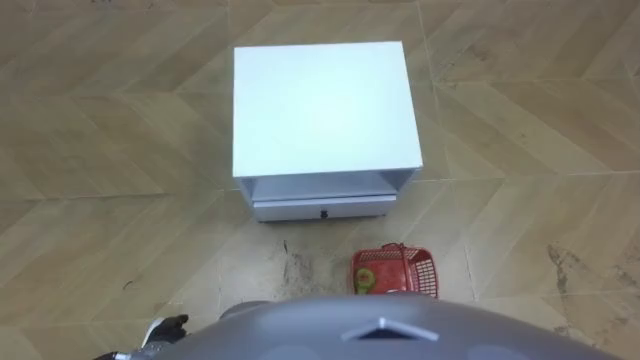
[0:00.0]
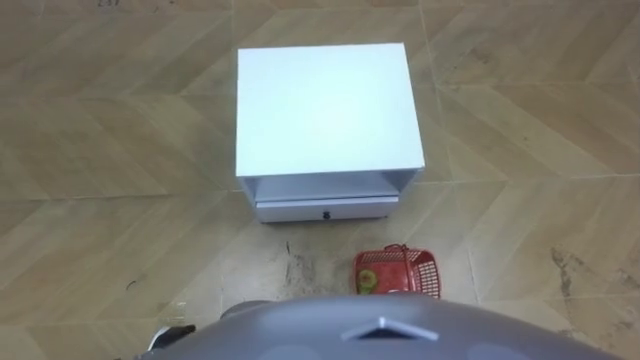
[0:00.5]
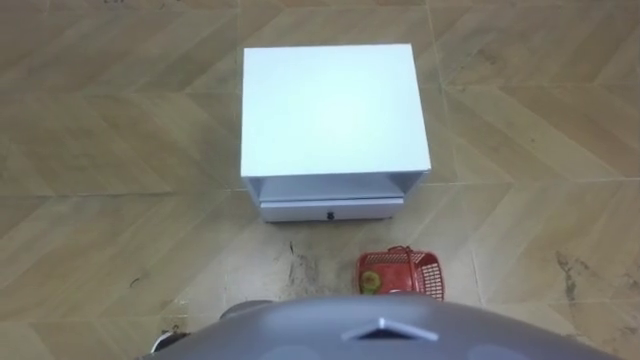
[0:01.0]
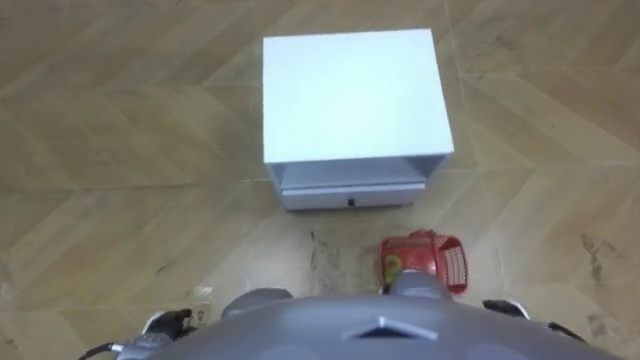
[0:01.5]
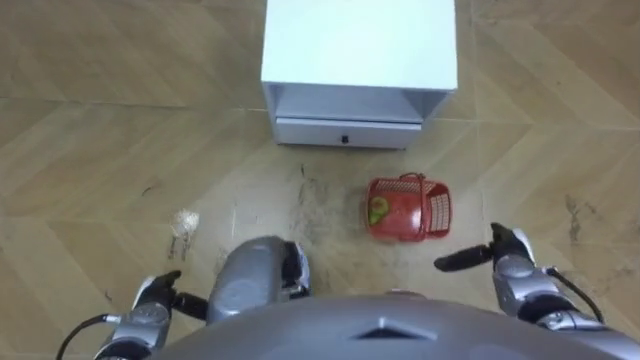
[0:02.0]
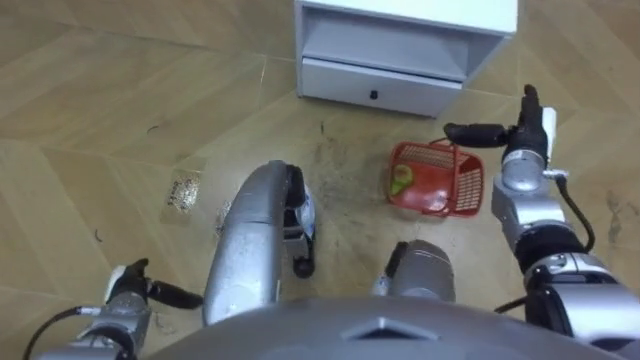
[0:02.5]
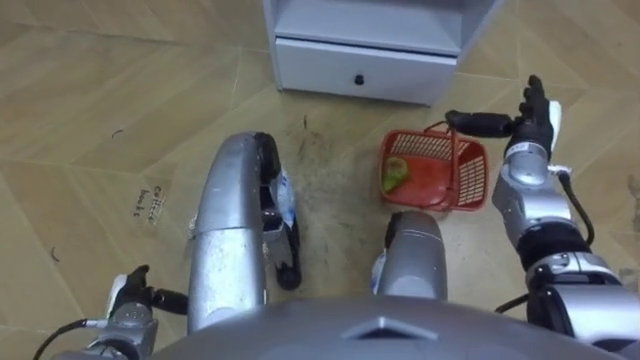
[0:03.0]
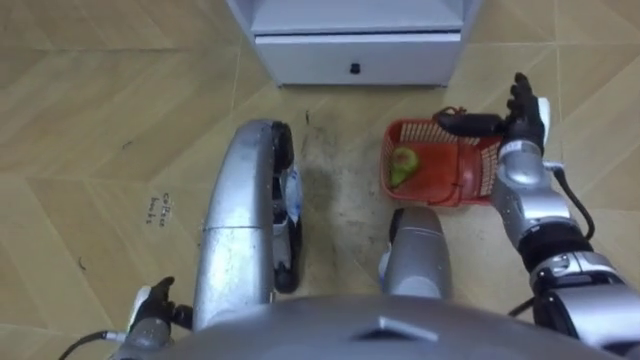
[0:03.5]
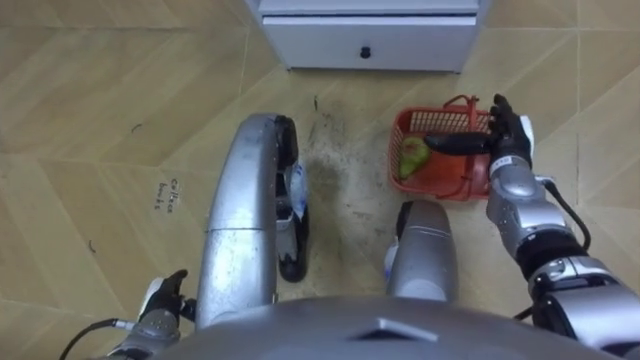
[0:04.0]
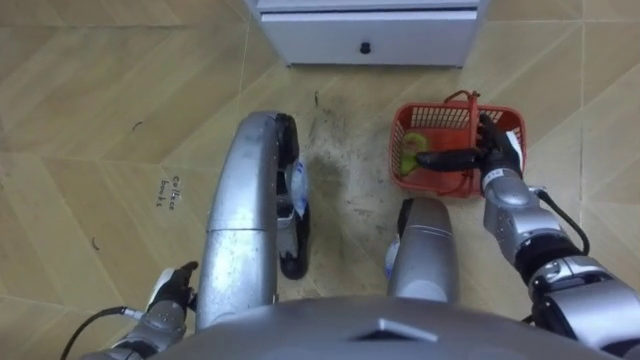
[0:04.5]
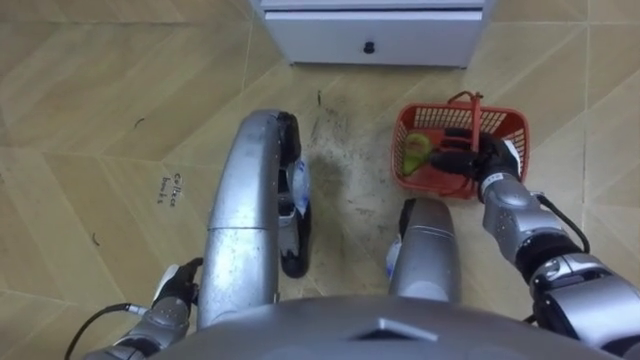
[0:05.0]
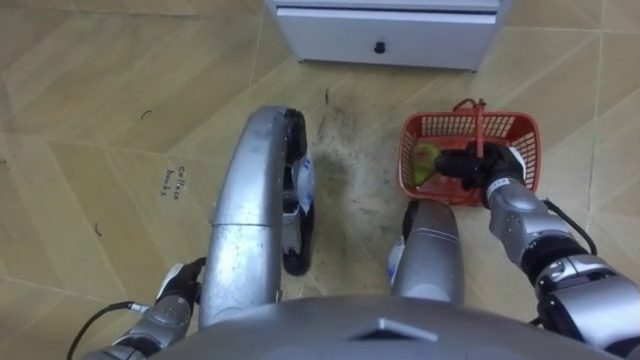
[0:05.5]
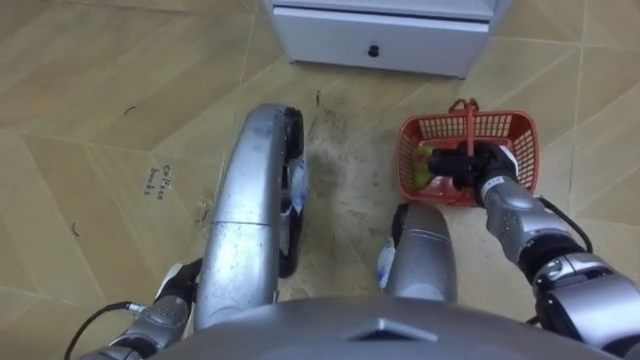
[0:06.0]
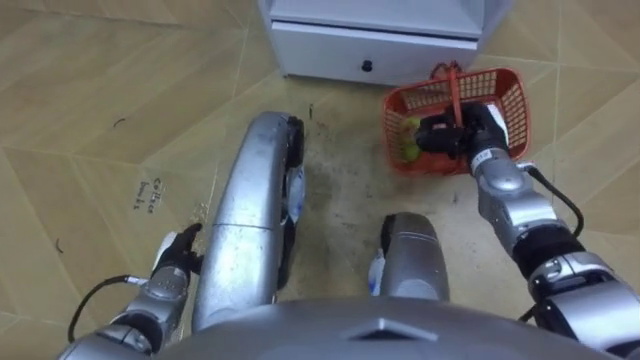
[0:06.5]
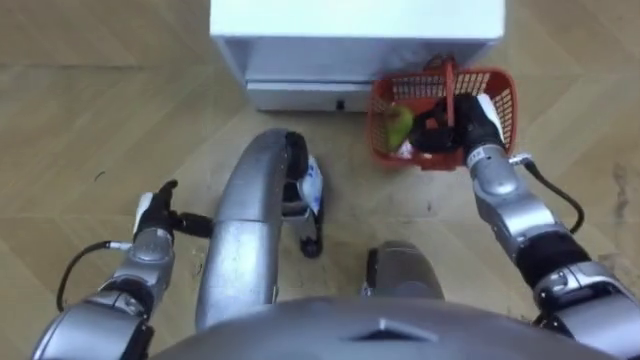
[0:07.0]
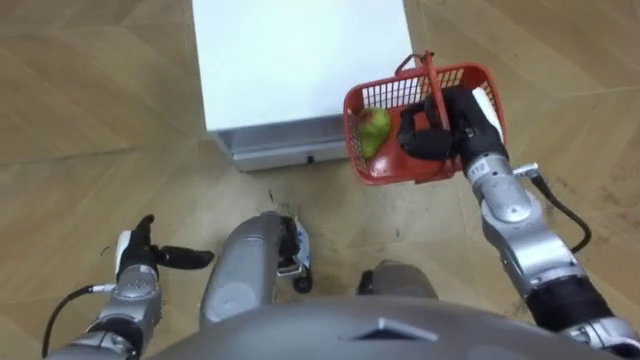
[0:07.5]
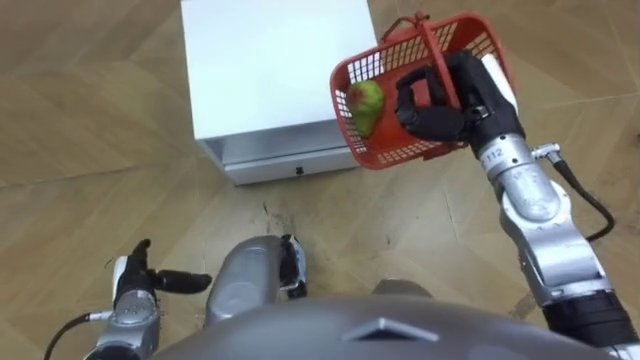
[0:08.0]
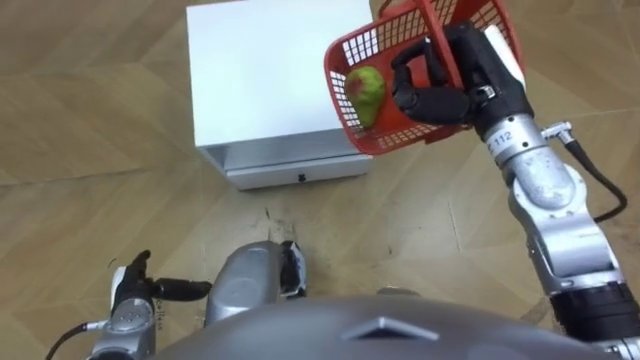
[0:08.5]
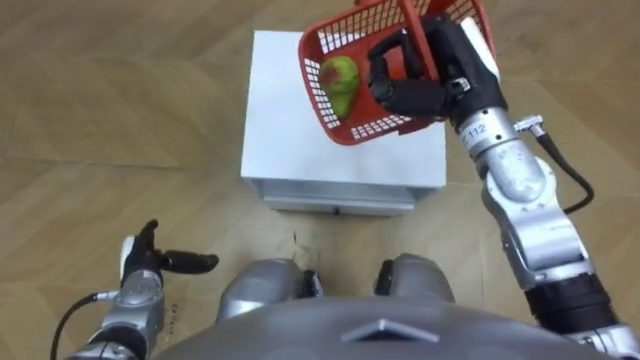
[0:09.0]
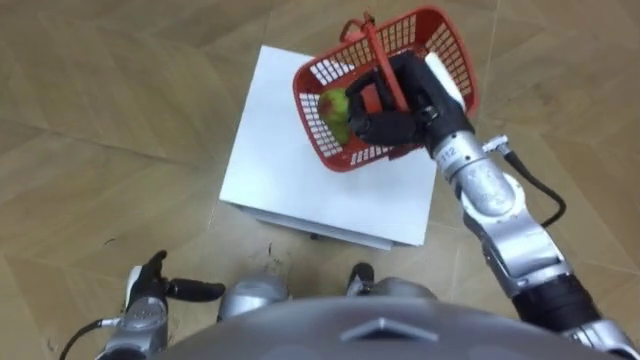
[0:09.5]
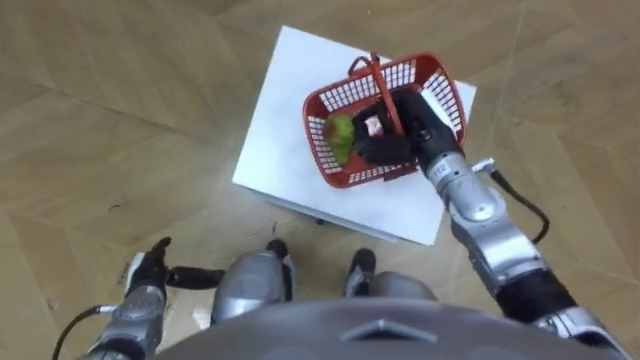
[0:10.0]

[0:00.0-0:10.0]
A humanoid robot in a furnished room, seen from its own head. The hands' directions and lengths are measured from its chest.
Task of the whole recording: Pick up the fruit basket from the floor and place it on the cabinet.
0:02.0 to 0:04.0: The right hand goes approximately 15 cm forward and upward.
0:04.0 to 0:06.0: The right hand closes its fingers.
0:06.0 to 0:08.0: The robot faces some 20 degrees further to its right. The right hand heads upward, covering some 15 cm; the left hand moves to the left, about 5 cm, and moves about 10 cm forward and comes back.
0:08.0 to 0:10.0: The robot rotates roughly 20 degrees to its left. The right hand heads downward and to the left, covering roughly 10 cm.

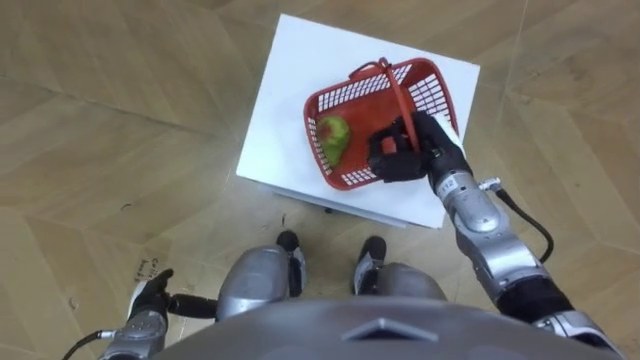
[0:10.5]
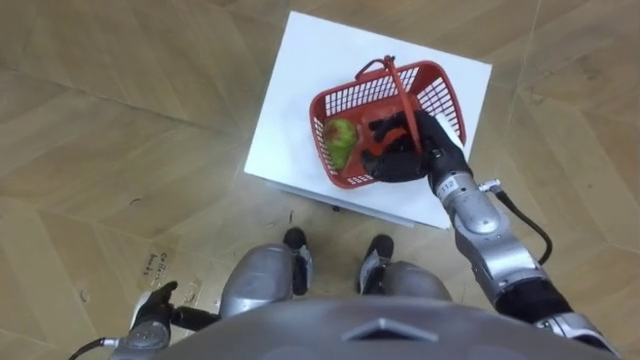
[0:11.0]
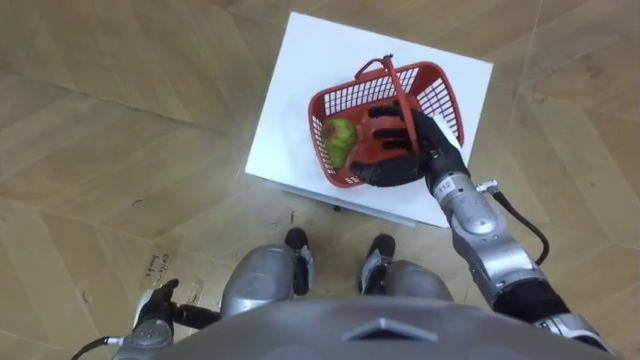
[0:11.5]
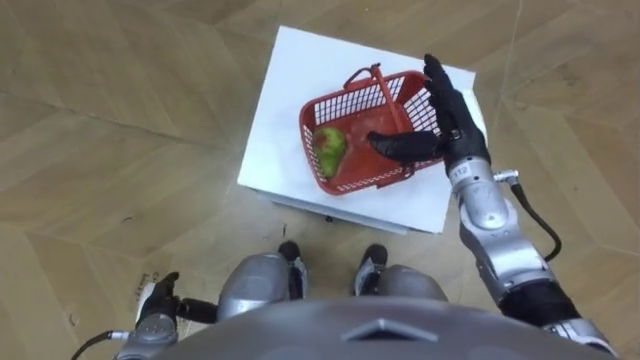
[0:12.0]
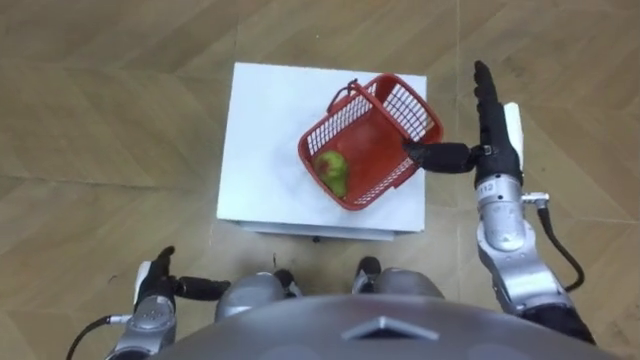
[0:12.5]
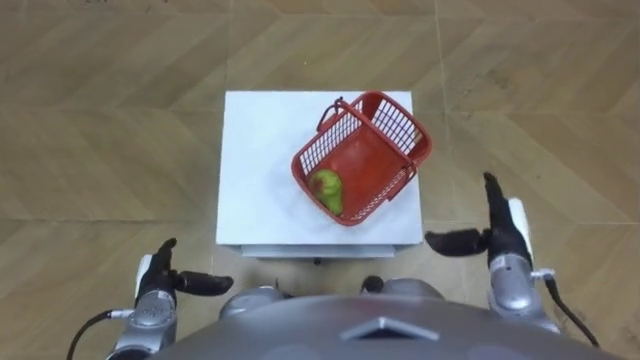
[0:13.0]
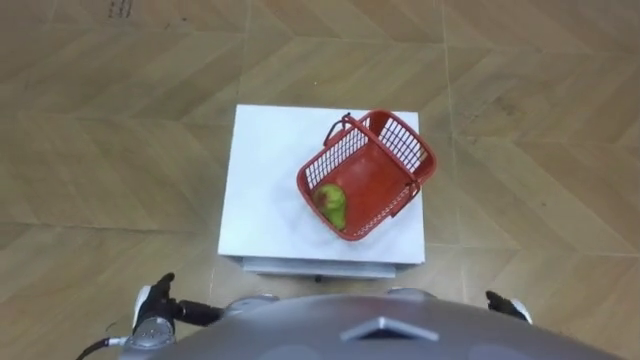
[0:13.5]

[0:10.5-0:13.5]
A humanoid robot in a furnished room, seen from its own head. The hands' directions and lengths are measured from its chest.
Task of the whole recording: Pick up the fruit basket from the floor and place it on the cabinet.
0:10.5 to 0:12.0: The right hand opens.
0:12.0 to 0:13.5: The right hand goes about 30 cm backward and downward.

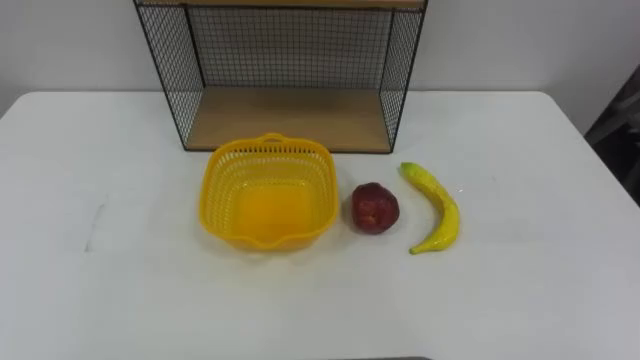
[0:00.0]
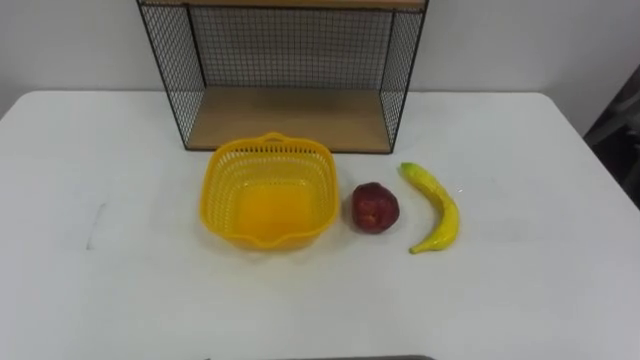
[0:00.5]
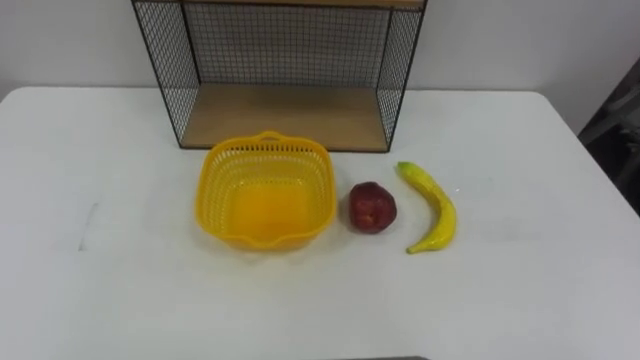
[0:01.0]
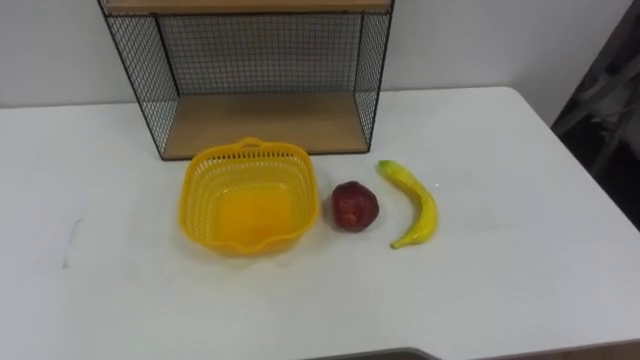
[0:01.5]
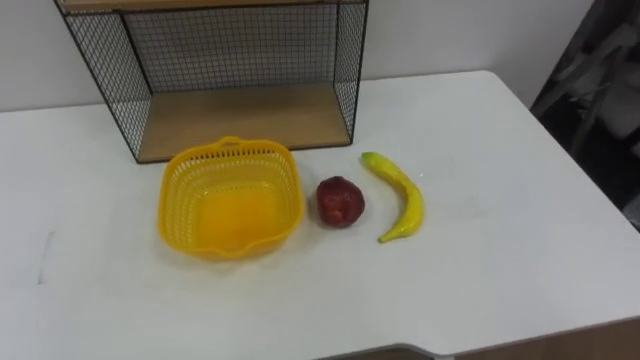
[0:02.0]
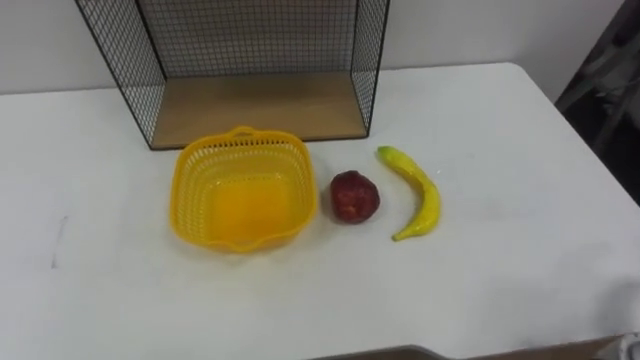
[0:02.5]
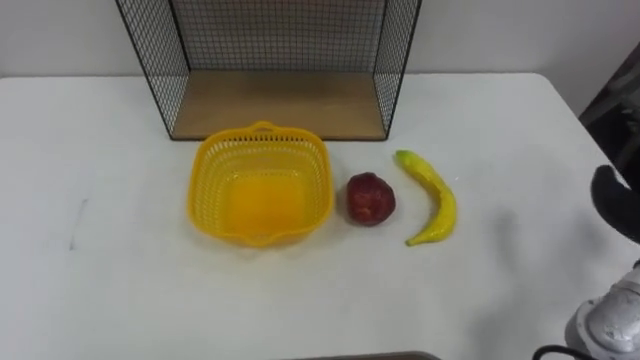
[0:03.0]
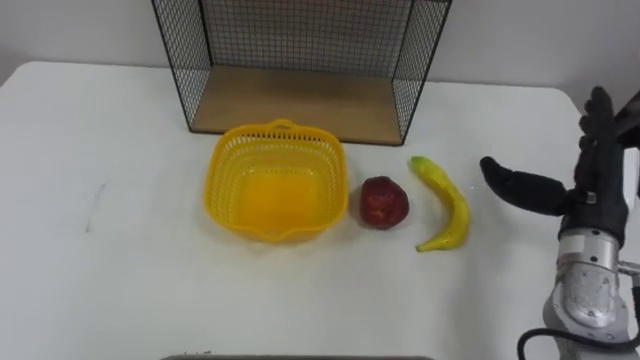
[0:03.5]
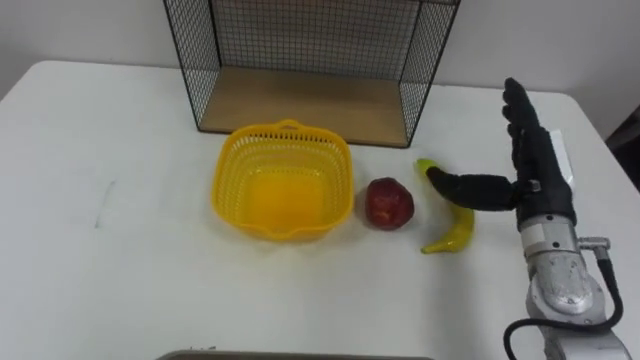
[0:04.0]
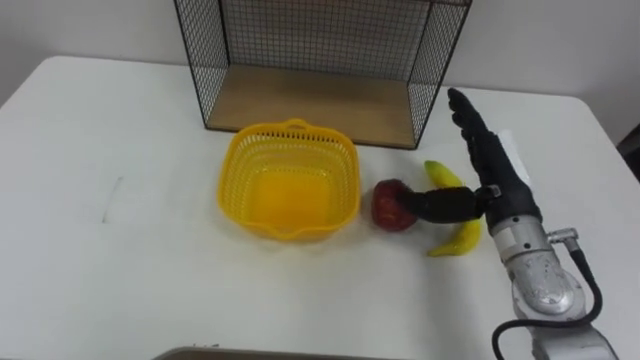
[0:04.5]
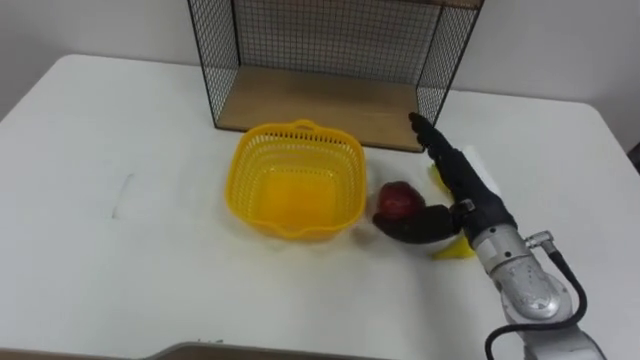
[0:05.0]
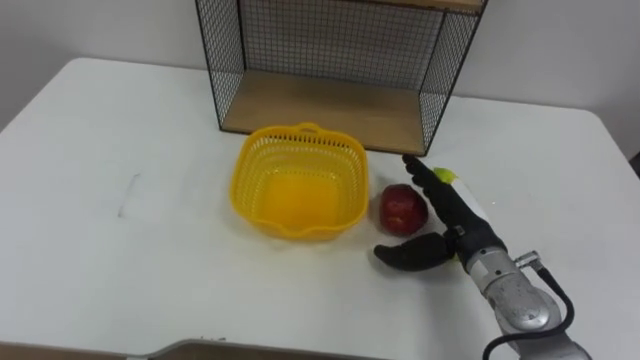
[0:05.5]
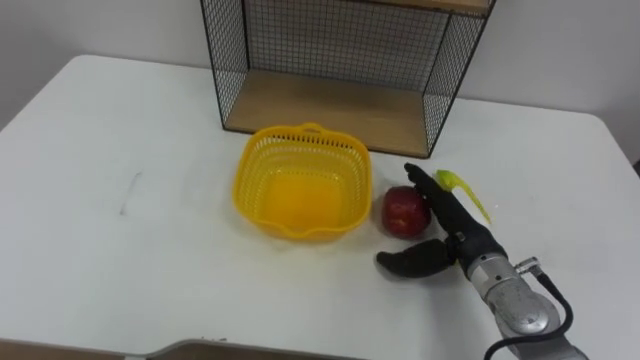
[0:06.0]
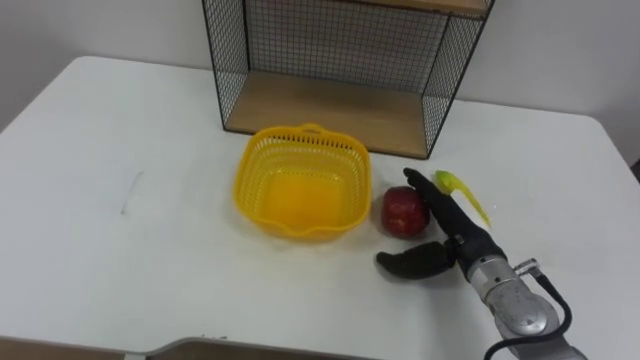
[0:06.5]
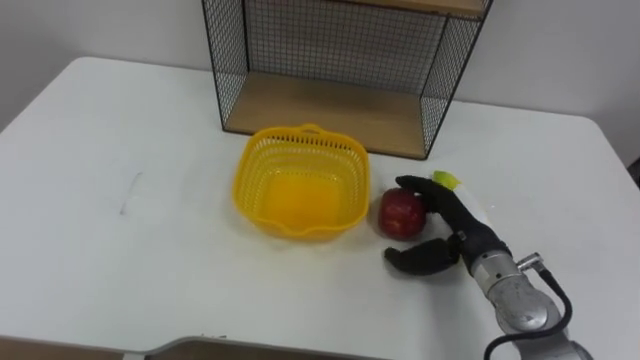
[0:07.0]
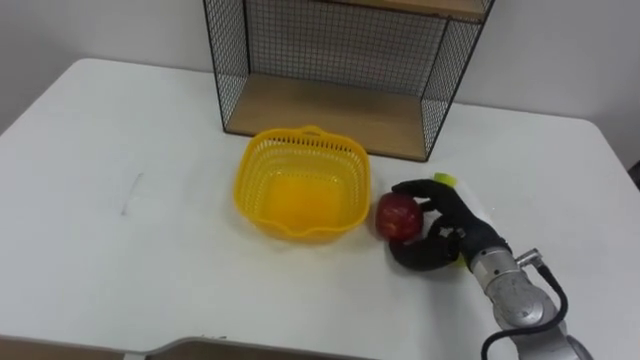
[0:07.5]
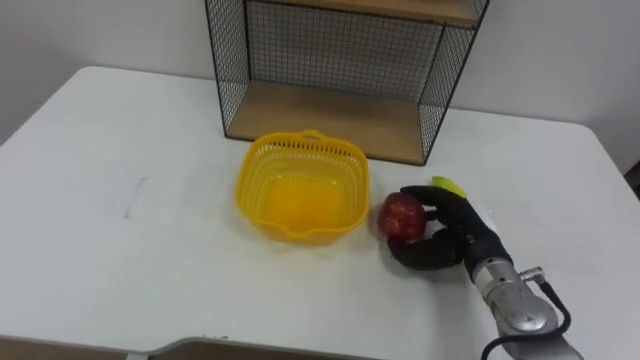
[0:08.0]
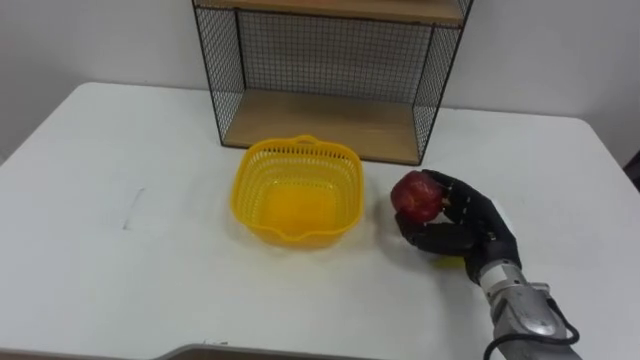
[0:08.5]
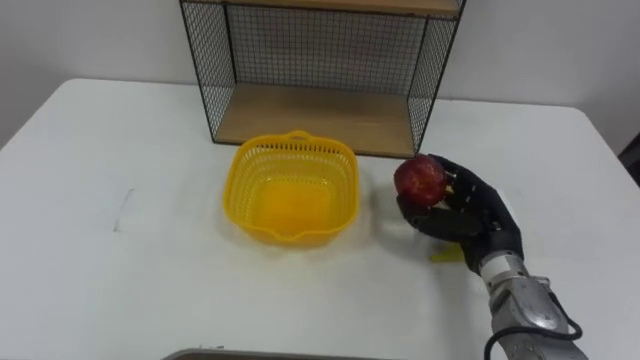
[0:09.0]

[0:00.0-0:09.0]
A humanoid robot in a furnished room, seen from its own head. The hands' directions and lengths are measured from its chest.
Task of the whole recording: Put the fruit on the table into the basket, then place the basket on the shelf.
0:04.5 to 0:07.0: The right hand shifts roughly 10 cm downward.
